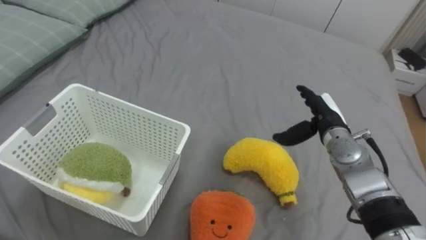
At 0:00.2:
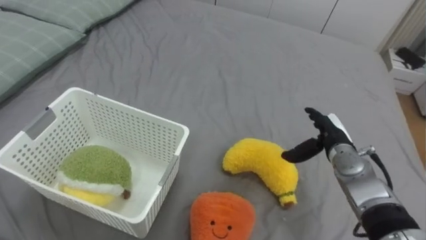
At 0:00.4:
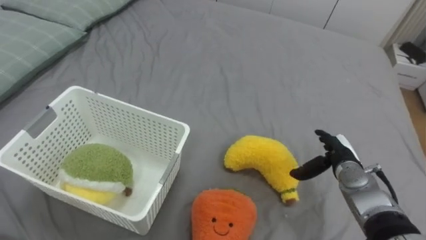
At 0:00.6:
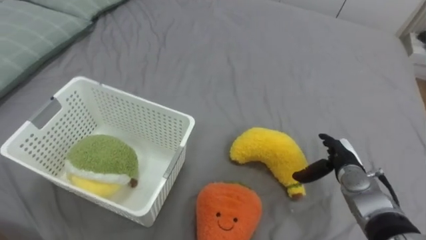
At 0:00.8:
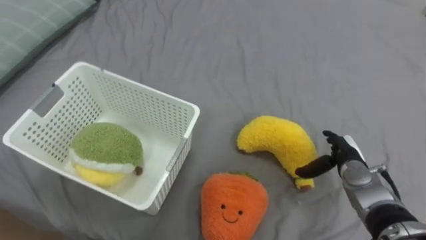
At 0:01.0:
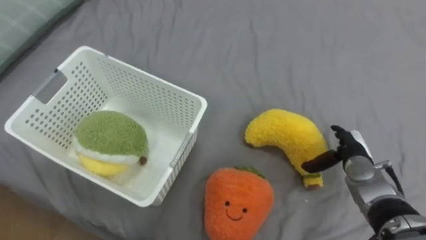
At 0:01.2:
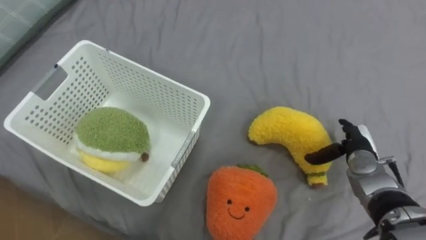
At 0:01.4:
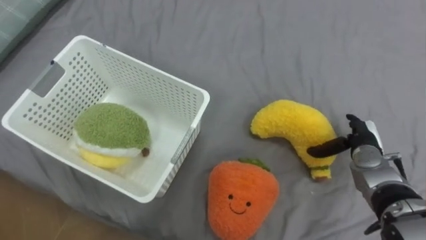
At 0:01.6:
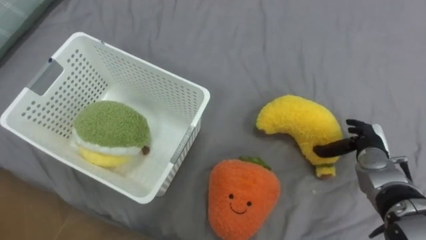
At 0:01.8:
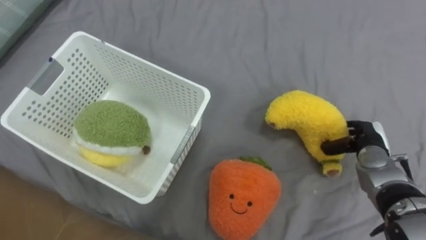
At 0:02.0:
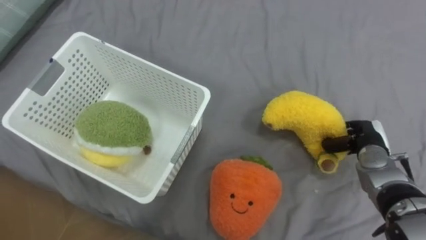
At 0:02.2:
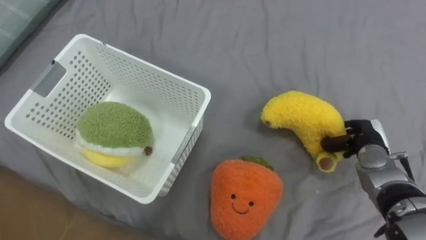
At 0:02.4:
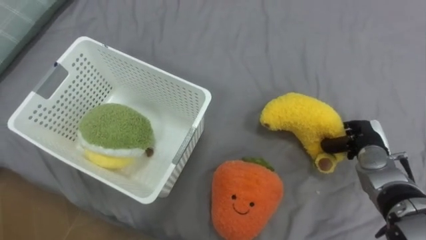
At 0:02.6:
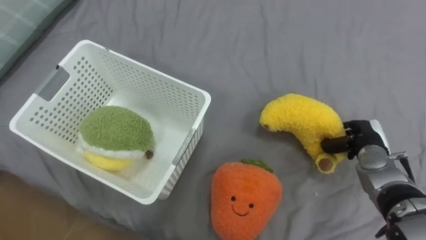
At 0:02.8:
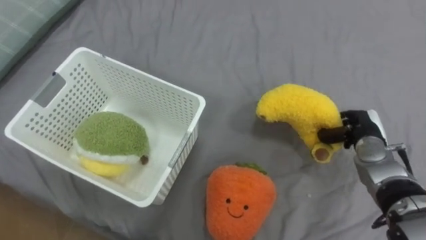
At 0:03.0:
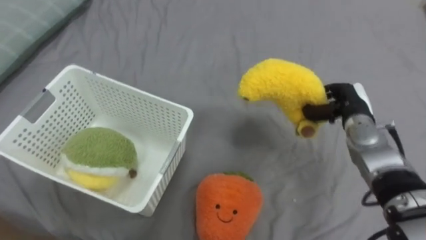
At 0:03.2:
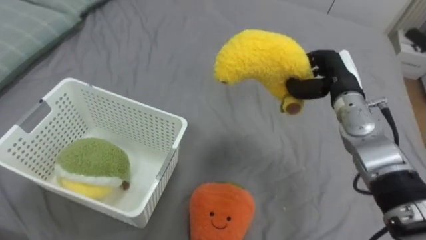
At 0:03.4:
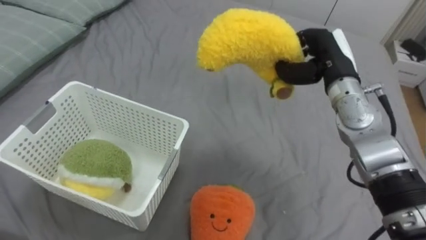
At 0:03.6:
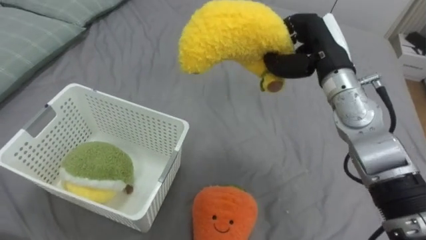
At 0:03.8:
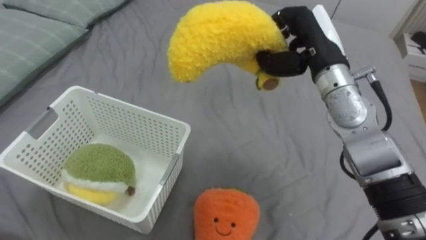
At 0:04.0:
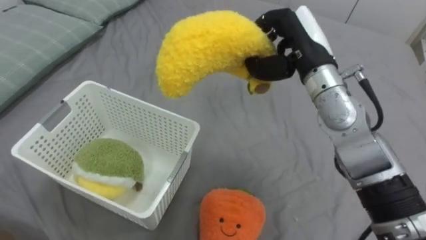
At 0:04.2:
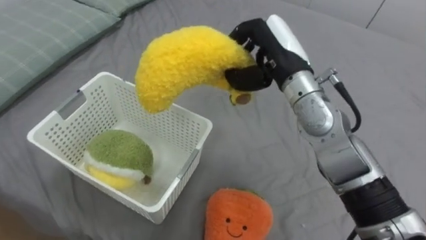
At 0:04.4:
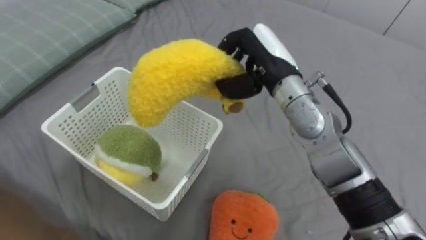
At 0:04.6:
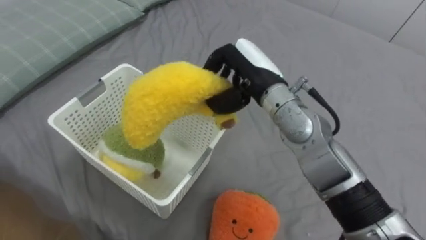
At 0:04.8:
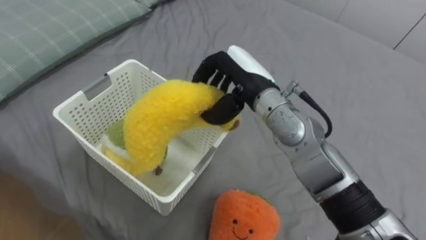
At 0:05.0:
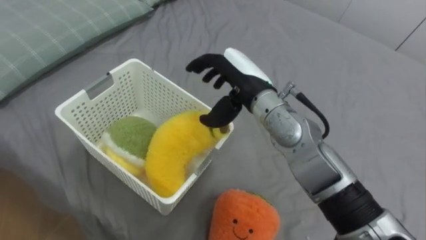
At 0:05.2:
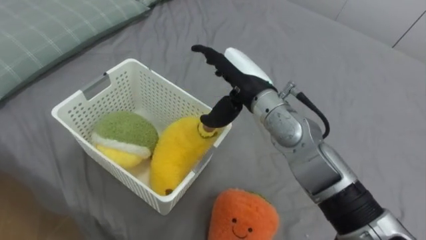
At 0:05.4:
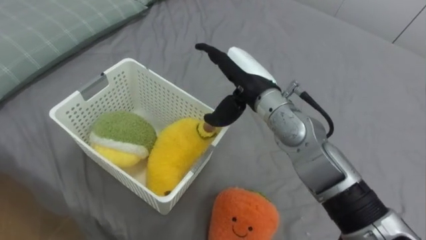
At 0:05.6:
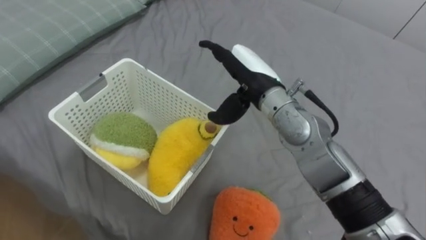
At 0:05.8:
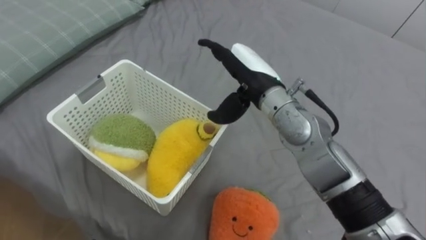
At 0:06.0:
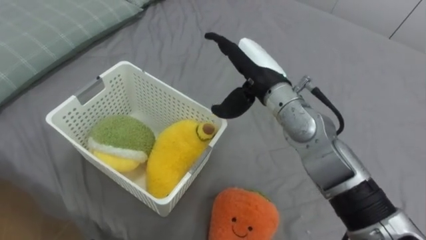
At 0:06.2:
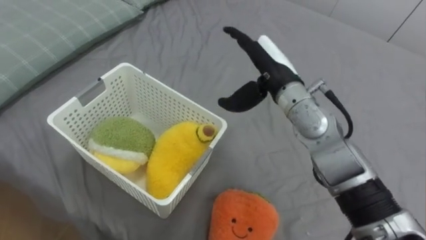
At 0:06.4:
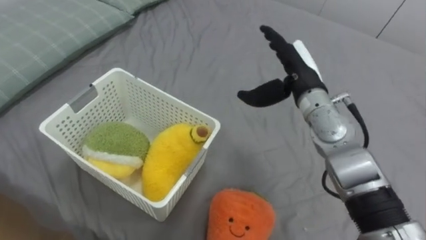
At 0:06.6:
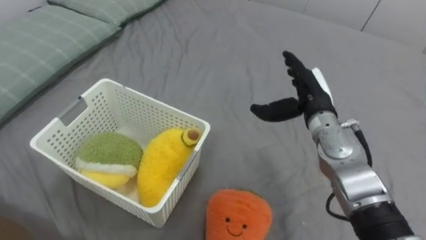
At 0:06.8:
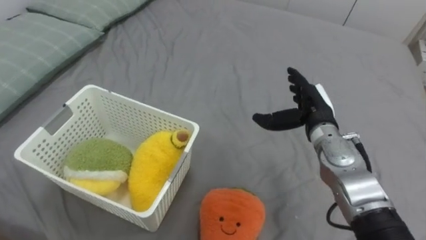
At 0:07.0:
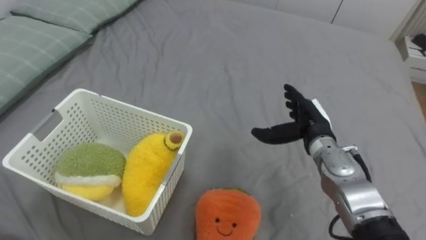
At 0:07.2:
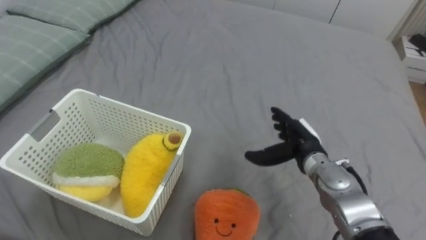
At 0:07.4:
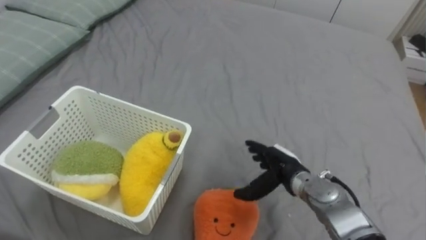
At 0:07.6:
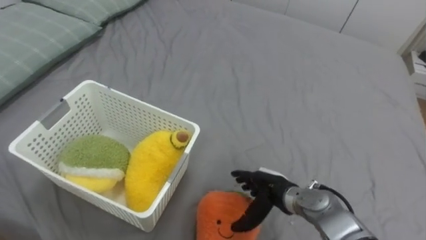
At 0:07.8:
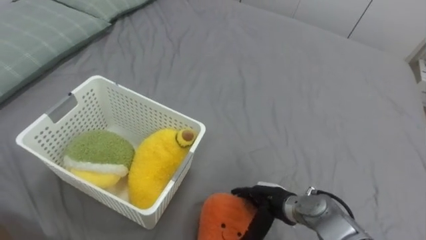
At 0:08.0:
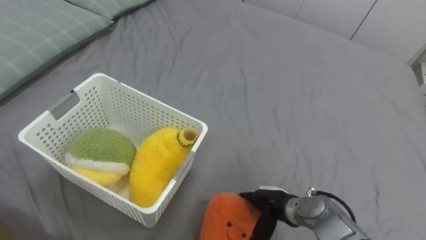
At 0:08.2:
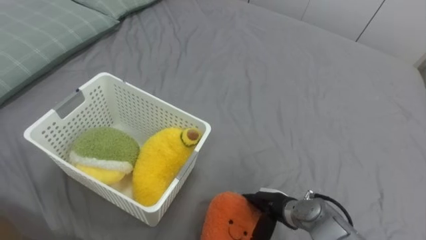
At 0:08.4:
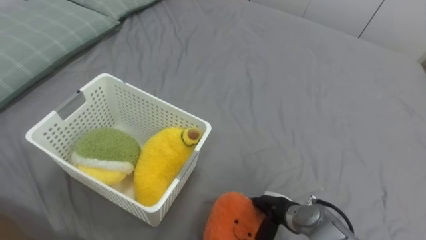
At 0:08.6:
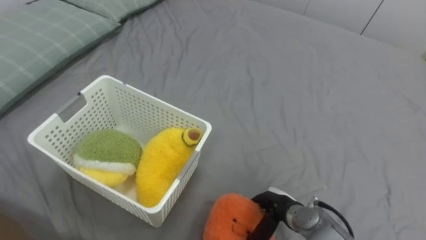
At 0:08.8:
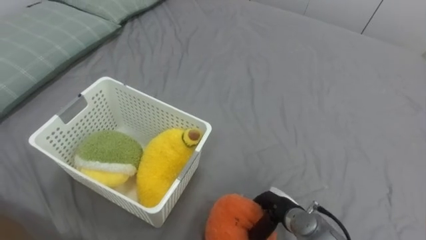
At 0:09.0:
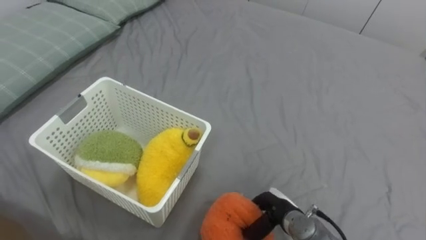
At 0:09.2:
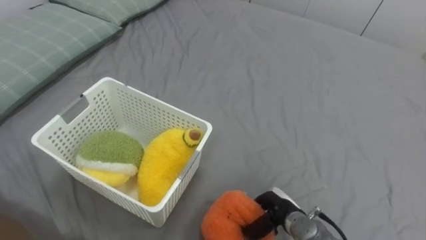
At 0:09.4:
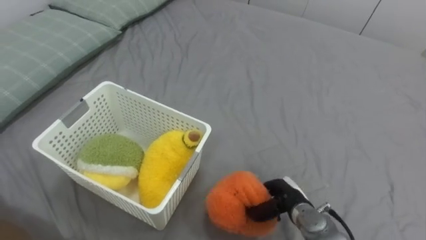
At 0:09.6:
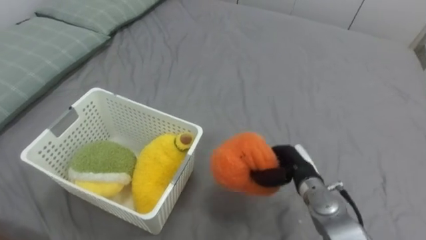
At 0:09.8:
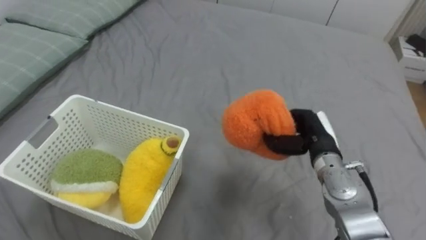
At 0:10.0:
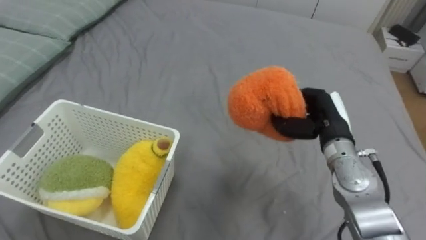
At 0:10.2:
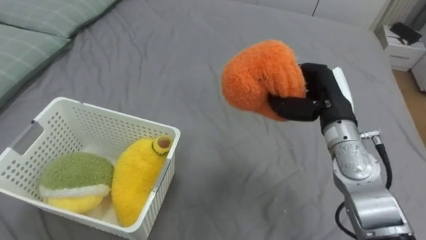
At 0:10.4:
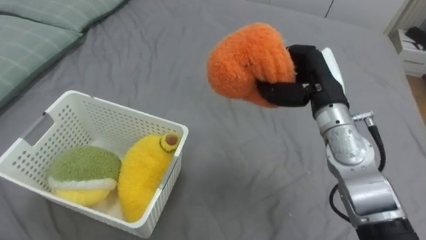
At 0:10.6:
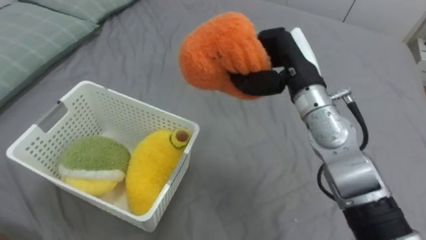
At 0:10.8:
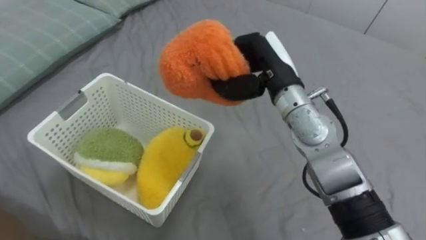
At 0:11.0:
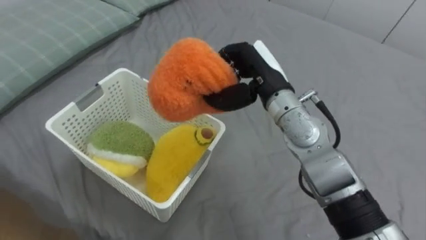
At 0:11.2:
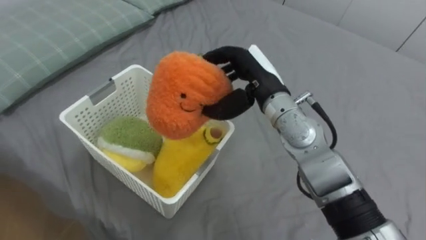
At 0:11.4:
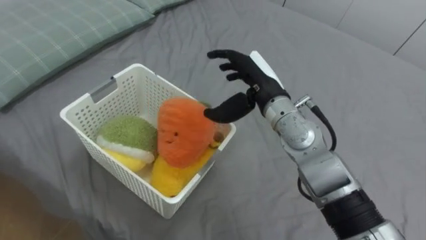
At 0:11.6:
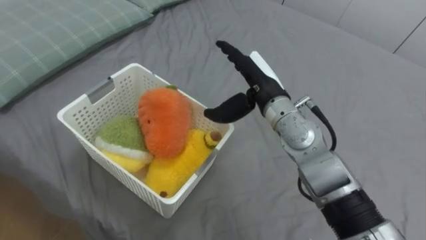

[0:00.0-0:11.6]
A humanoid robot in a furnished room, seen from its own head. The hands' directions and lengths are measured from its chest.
Task of the whole recording: Put the toys on the bed into the basket on the left.
0:00.0 to 0:01.4: The right hand shifts some 10 cm to the right.
0:01.4 to 0:02.8: The right hand closes.
0:02.8 to 0:04.4: The right hand travels to the left and upward by about 30 cm.
0:04.4 to 0:05.8: The right hand opens.
0:05.8 to 0:07.2: The right hand heads downward and to the right, covering approximately 20 cm.
0:07.2 to 0:08.8: The right hand is displaced downward and backward by about 15 cm, and closes up.
0:08.8 to 0:10.2: The right hand heads upward and forward, covering approximately 25 cm.
0:10.2 to 0:11.6: The right hand heads to the left, covering about 15 cm, and opens its fingers.

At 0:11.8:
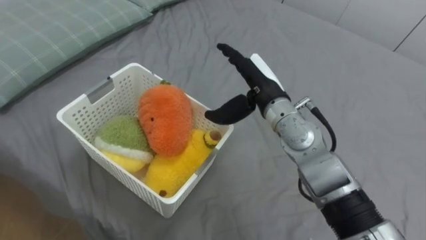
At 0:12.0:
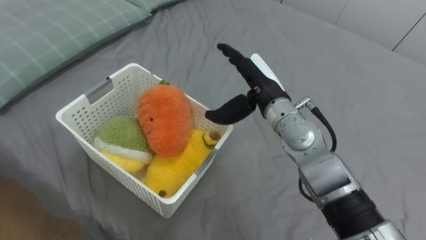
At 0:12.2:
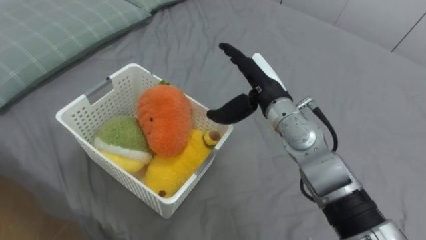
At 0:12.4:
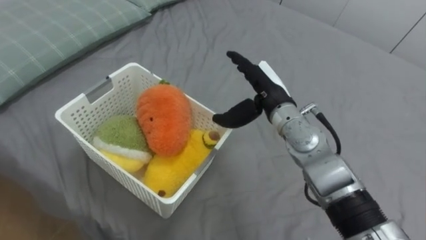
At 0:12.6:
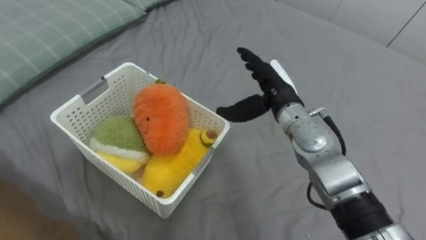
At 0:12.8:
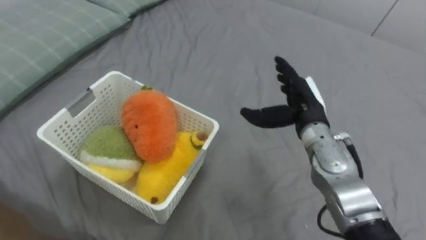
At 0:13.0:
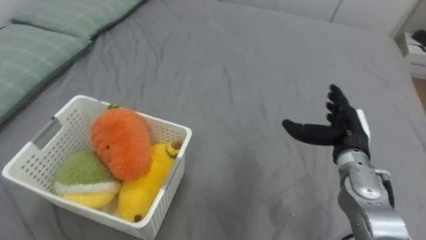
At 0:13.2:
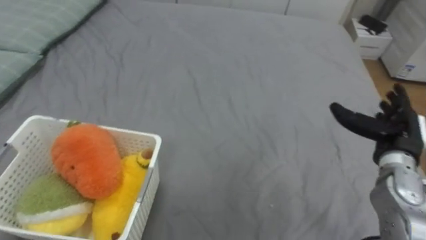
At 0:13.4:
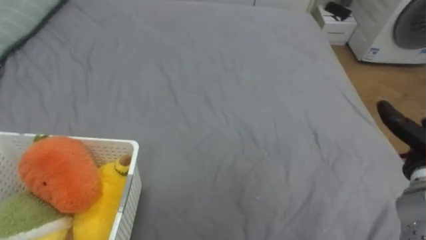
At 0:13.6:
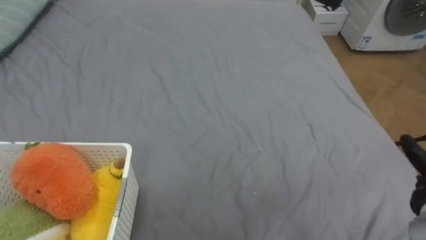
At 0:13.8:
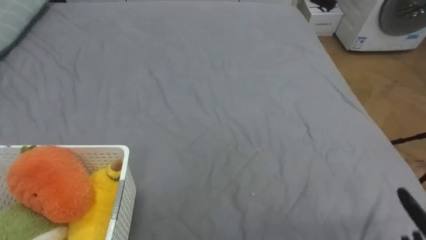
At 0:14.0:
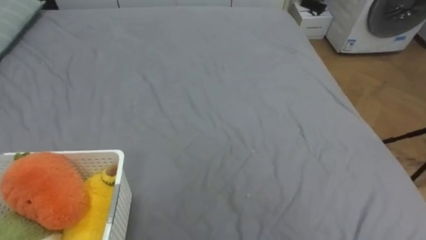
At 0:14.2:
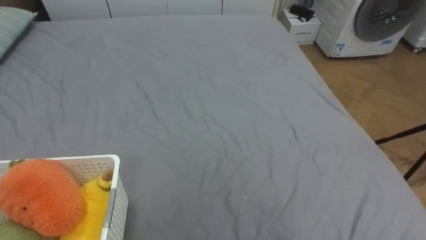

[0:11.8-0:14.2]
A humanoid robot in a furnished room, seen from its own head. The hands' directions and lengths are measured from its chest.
Task of the whole recording: Put the toys on the bed into the basket on the left.
0:11.8 to 0:13.0: The right hand moves to the right and downward, some 20 cm.
